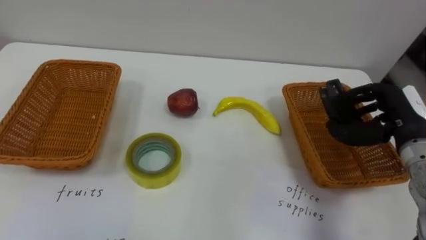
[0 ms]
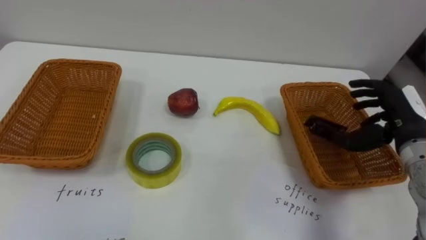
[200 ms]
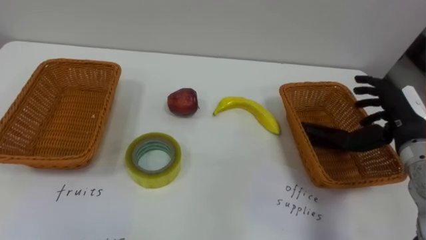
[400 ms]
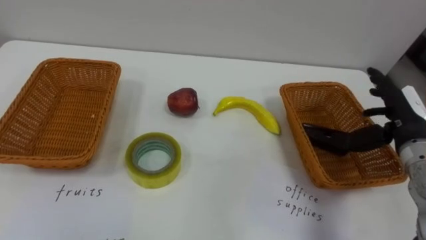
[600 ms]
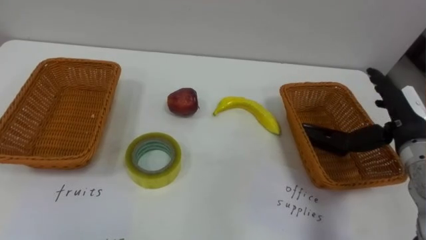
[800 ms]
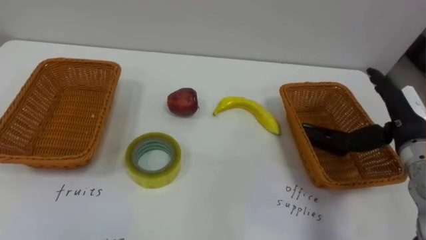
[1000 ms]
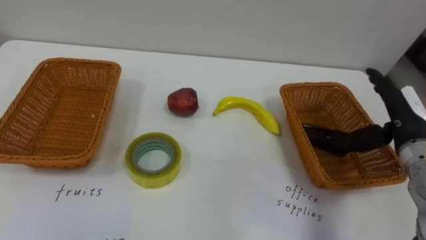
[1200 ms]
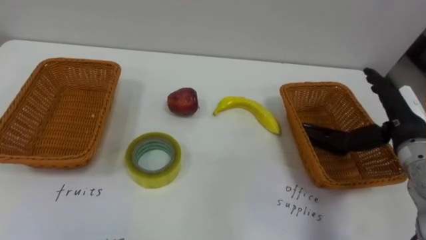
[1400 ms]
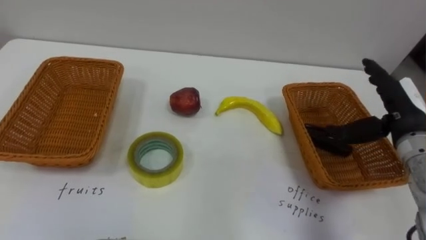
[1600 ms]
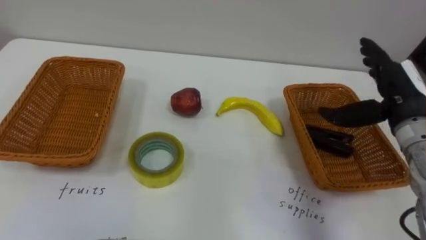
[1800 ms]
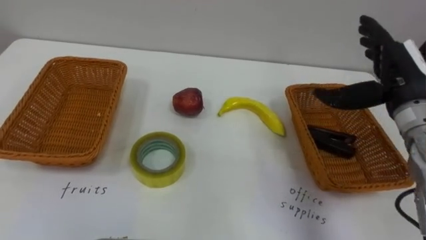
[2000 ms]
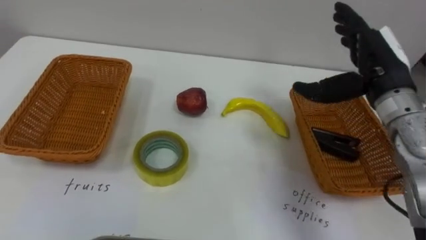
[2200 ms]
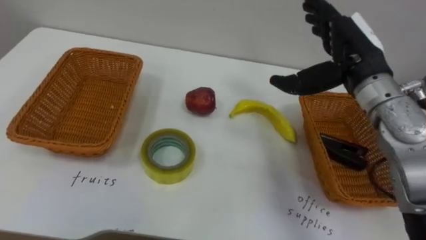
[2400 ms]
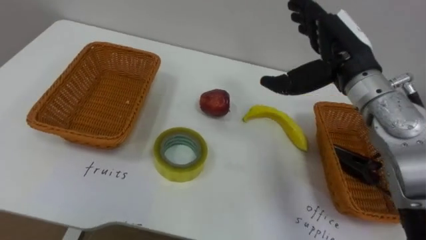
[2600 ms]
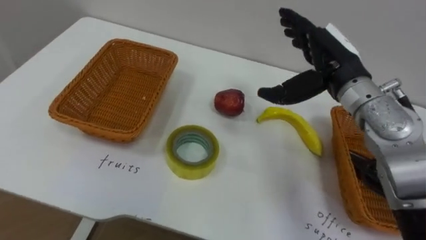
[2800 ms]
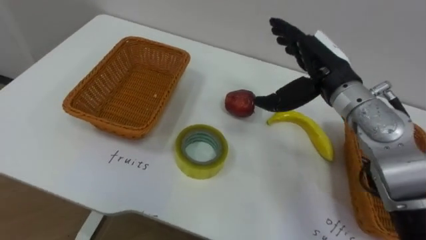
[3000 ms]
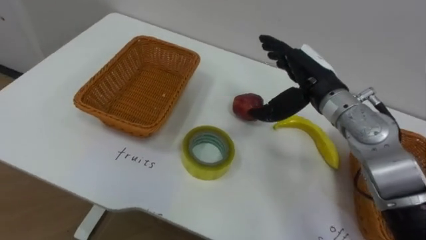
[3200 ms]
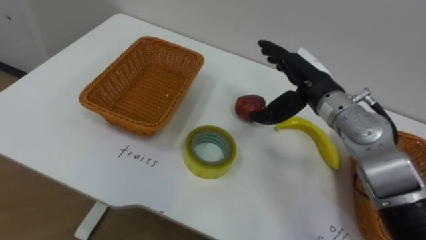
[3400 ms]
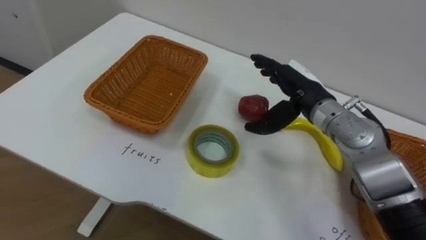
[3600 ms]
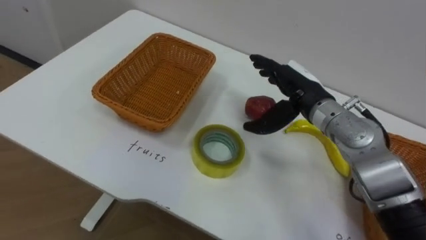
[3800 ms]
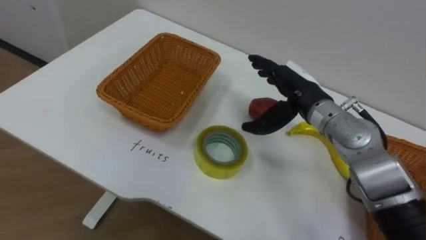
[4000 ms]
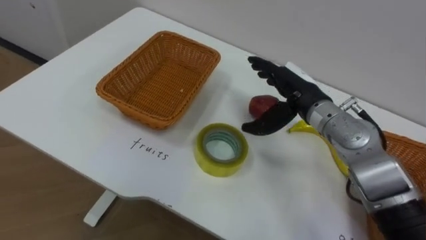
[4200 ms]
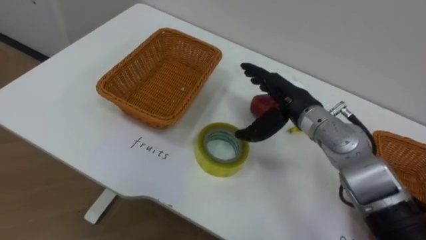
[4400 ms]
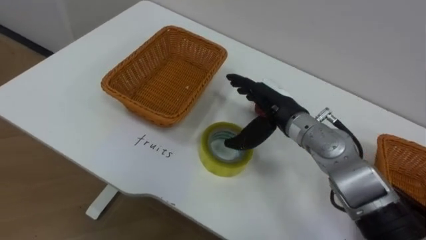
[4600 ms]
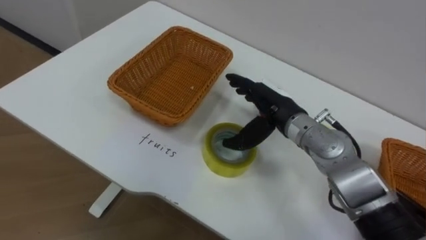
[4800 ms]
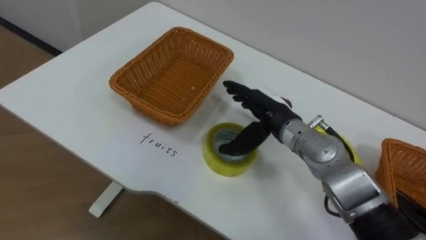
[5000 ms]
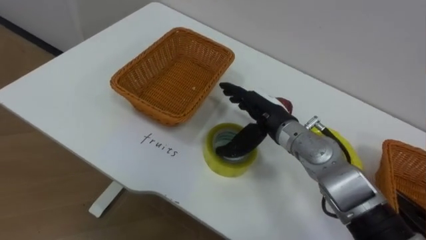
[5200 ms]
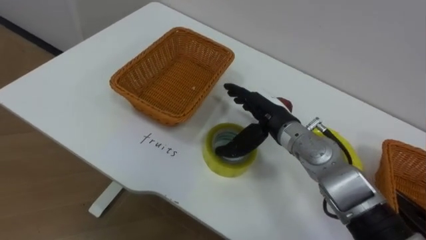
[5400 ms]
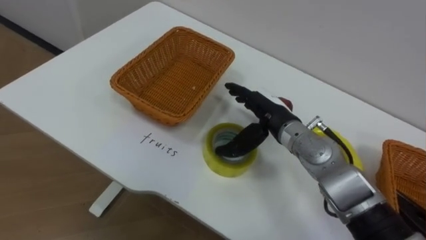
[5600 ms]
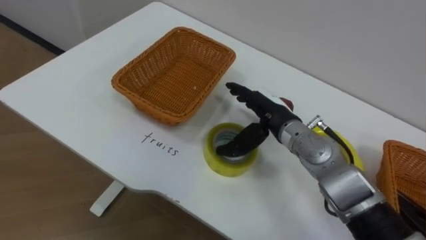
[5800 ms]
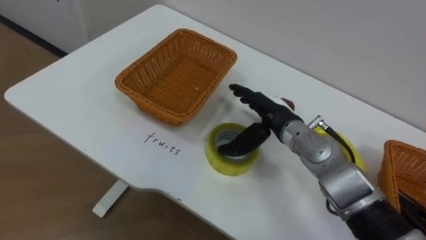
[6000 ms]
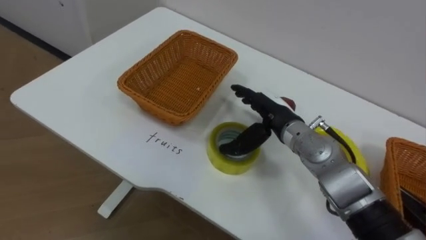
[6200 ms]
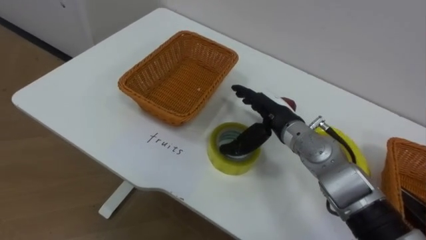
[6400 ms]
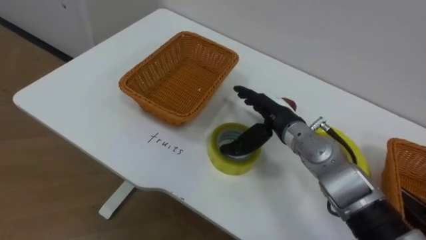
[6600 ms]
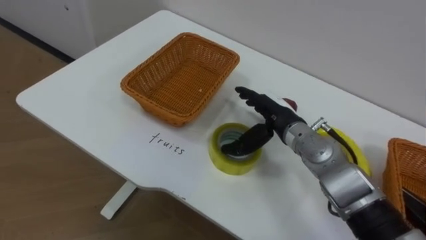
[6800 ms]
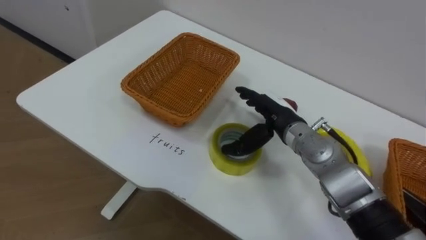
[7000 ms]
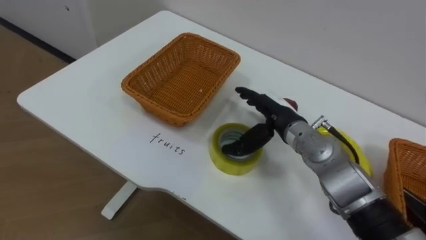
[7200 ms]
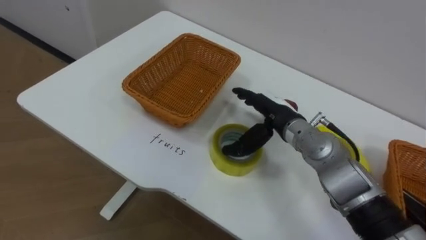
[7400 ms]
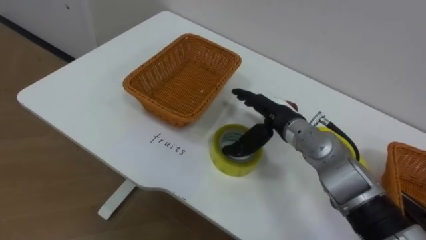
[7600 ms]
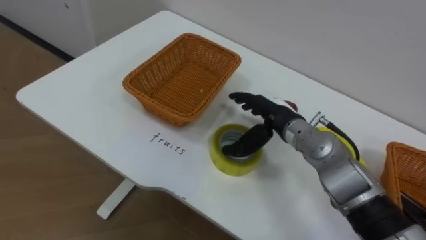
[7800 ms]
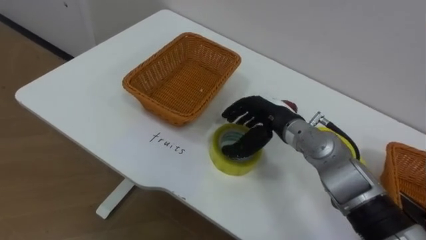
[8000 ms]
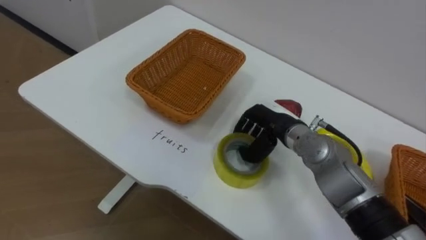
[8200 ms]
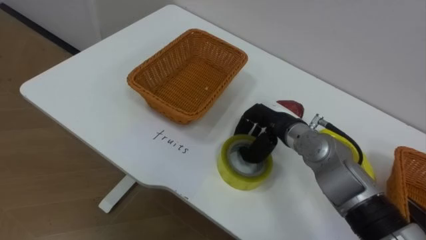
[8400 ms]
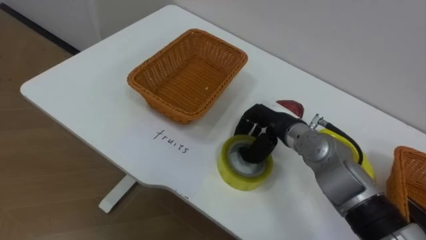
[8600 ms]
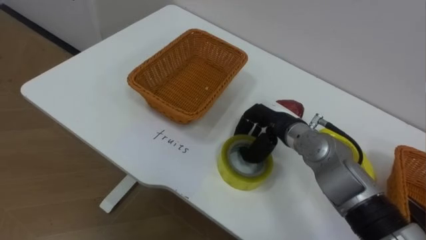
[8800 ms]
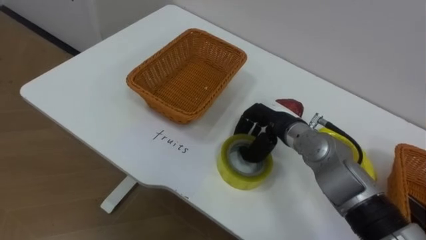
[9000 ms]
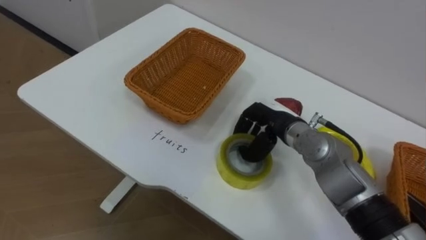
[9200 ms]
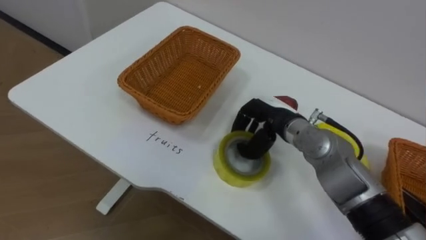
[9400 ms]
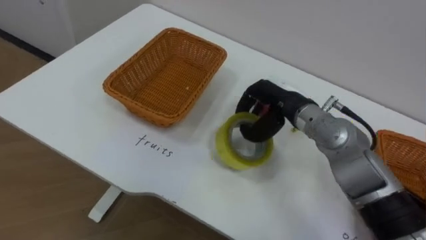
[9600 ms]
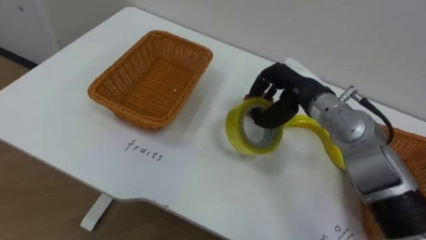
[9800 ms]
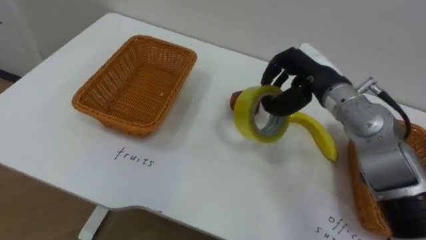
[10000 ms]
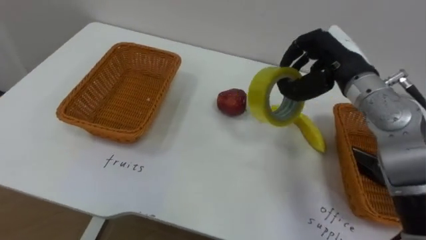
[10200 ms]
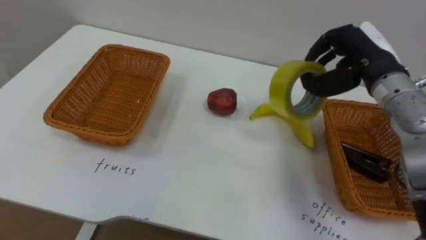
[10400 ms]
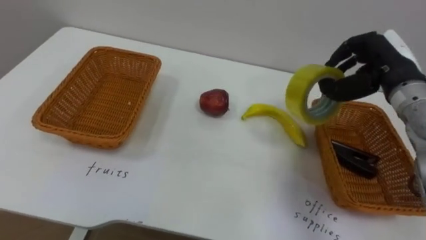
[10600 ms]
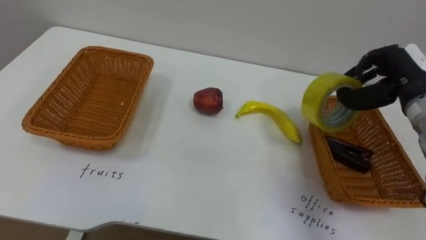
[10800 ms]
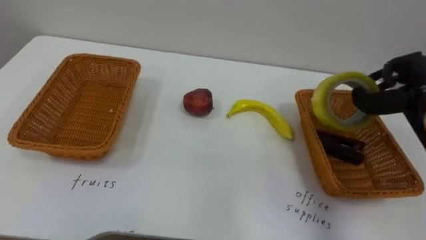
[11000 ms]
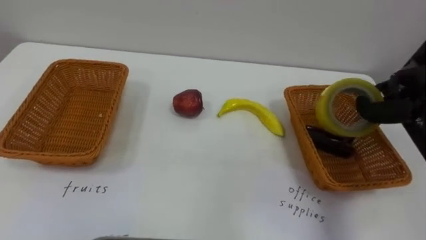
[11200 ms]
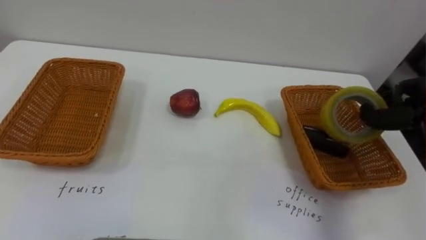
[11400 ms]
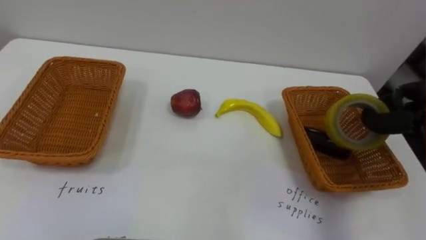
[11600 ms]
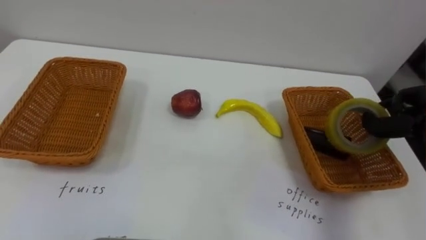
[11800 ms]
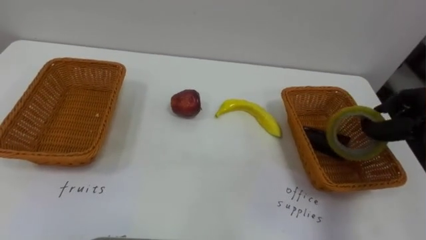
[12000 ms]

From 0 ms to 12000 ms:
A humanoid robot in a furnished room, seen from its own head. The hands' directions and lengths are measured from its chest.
Task of the whole recording: Separate the items on the table and place them into the two baskets.
From 0 ms to 1600 ms: The right hand opens.
From 1600 ms to 3000 ms: The right hand heads to the left, upward and forward, covering some 15 cm.
From 3000 ms to 4400 ms: The right hand heads downward, covering about 5 cm.
From 7600 ms to 9000 ms: The right hand closes its fingers.
From 9000 ms to 10400 ms: The right hand travels upward and to the right by about 20 cm.

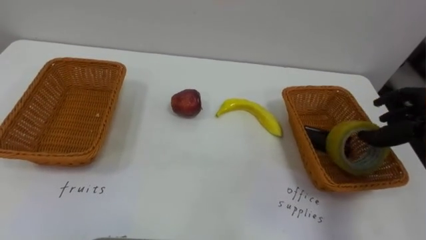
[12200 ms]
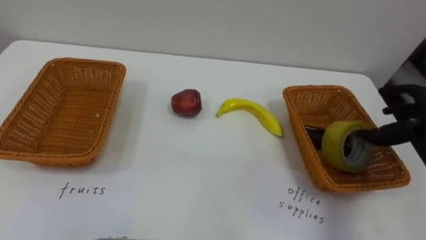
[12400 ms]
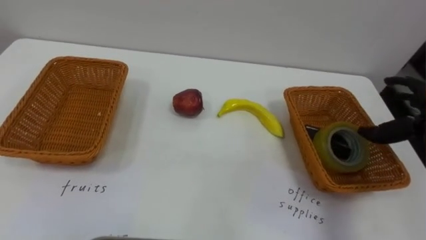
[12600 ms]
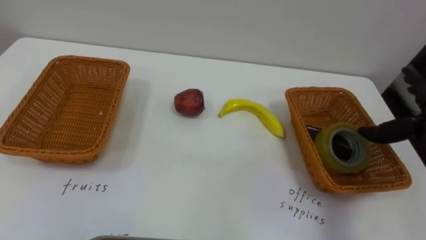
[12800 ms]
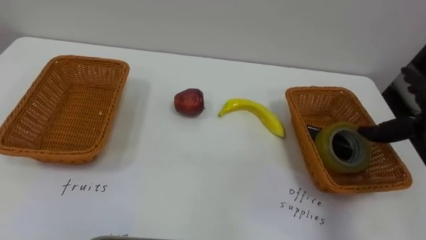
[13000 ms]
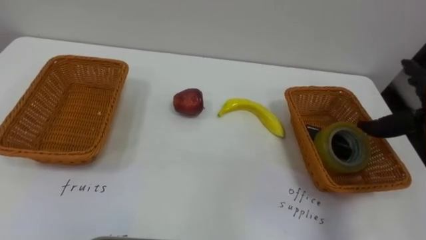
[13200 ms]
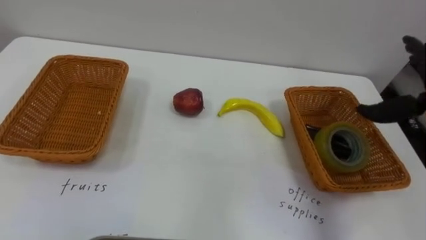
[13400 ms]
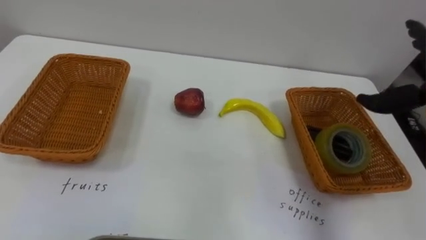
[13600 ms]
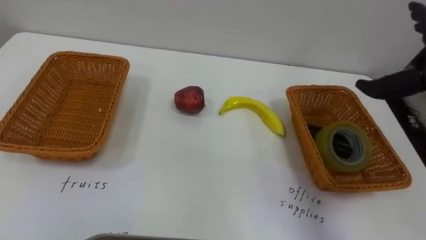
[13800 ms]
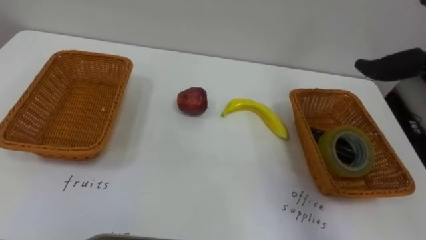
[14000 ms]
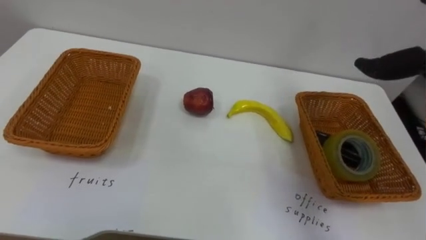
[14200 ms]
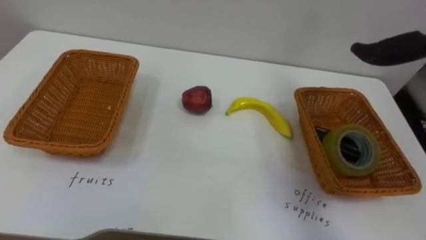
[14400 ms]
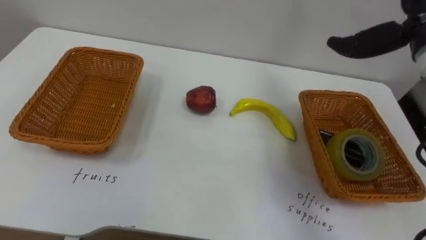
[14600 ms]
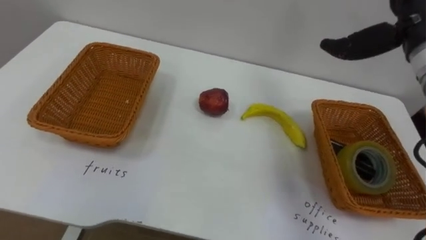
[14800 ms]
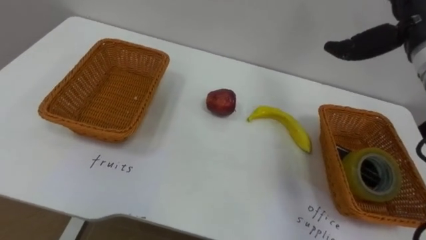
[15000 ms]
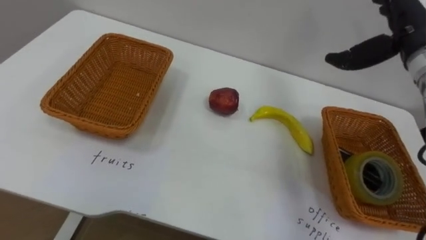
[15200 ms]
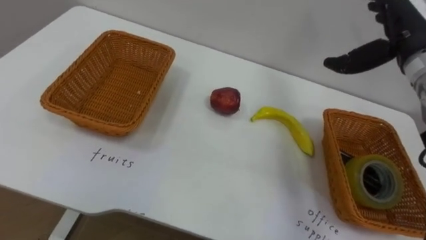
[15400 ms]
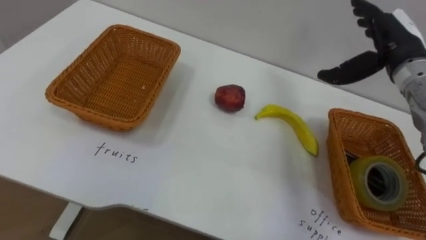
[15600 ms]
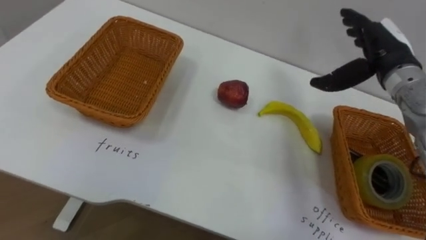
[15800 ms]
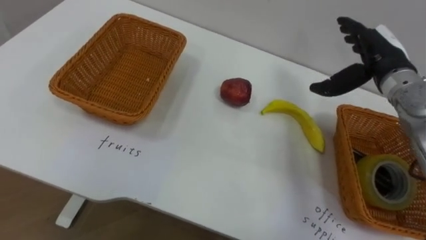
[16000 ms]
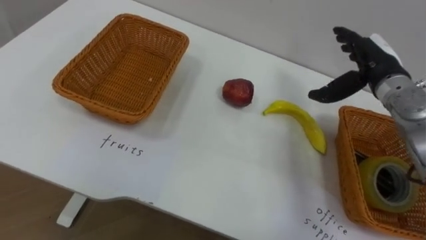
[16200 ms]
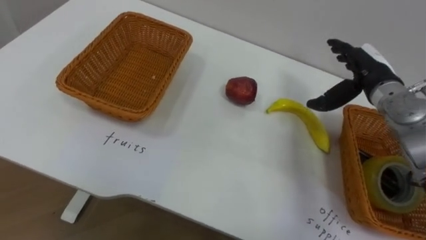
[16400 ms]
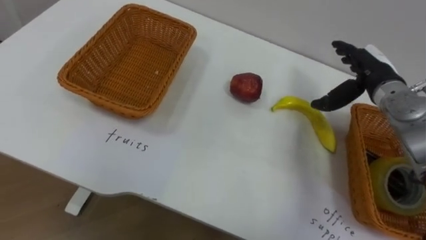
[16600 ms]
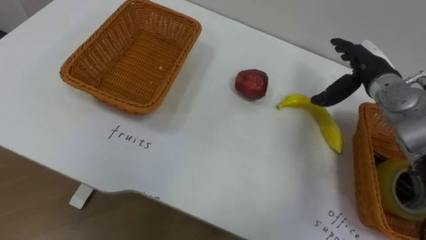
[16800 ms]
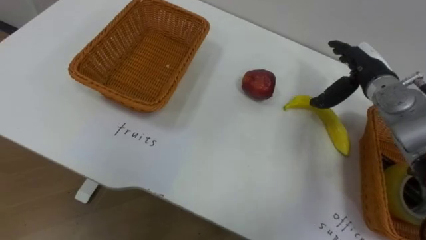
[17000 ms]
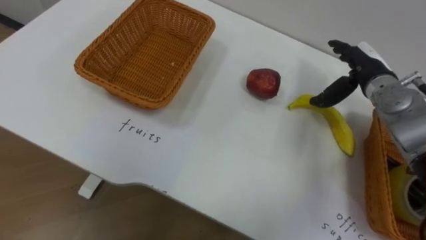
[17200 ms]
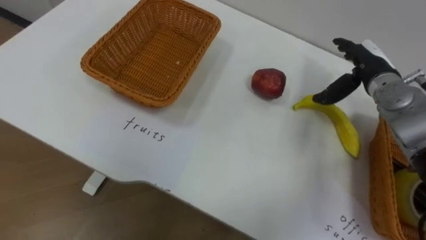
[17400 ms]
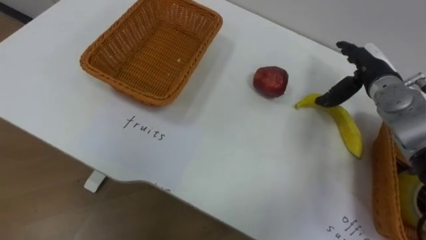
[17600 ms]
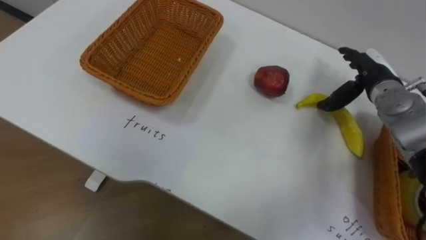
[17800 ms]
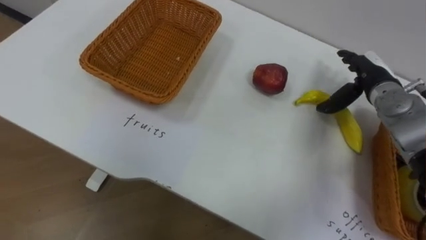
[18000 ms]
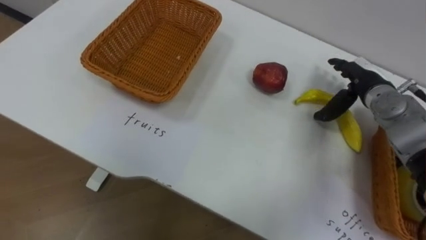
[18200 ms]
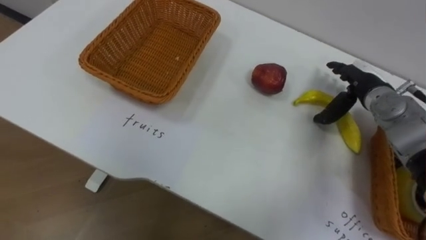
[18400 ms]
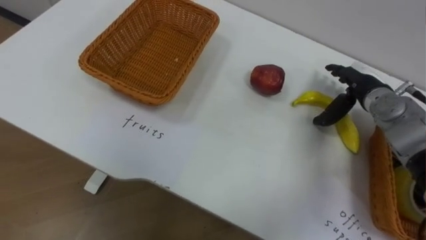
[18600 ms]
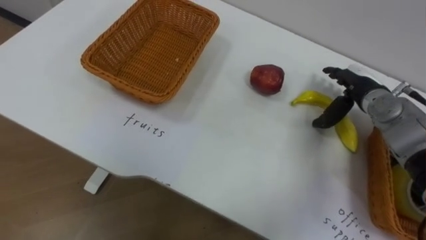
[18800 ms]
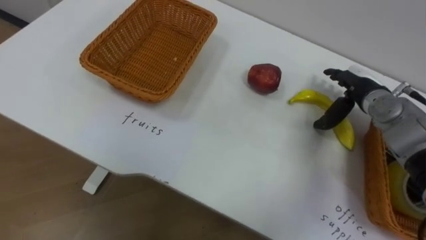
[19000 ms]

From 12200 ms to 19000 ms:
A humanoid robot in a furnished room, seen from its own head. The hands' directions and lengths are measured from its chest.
Task of the whole recording: Separate the items on the table and place them into the two baskets.
From 15000 ms to 16200 ms: The right hand shifts approximately 10 cm downward.
